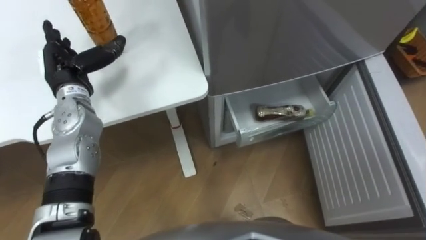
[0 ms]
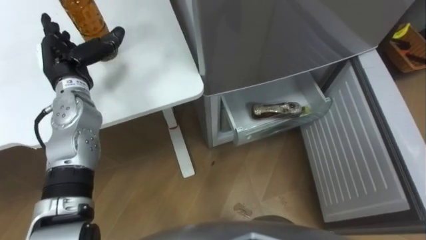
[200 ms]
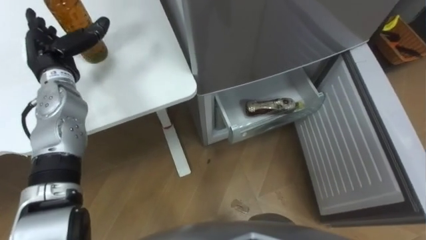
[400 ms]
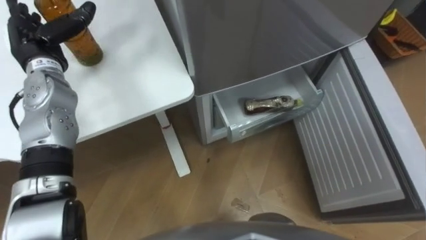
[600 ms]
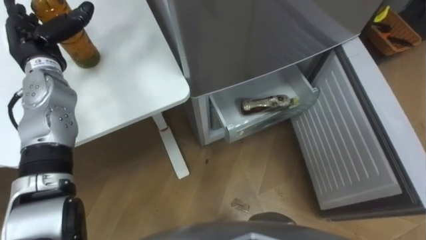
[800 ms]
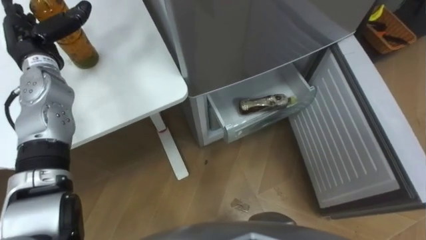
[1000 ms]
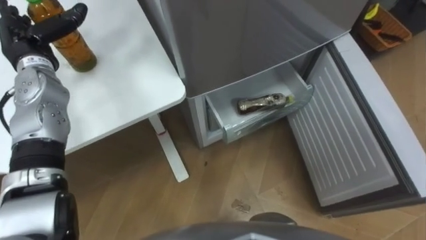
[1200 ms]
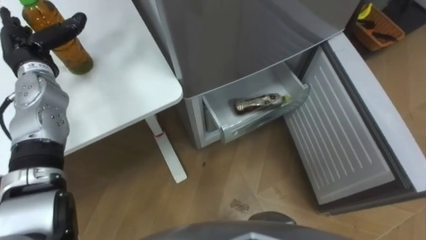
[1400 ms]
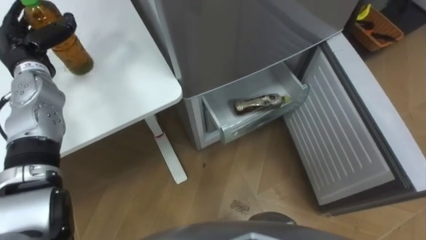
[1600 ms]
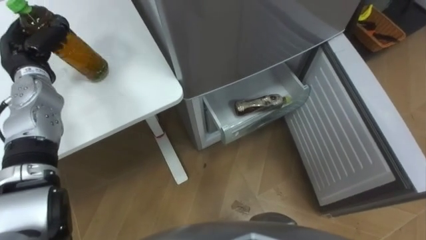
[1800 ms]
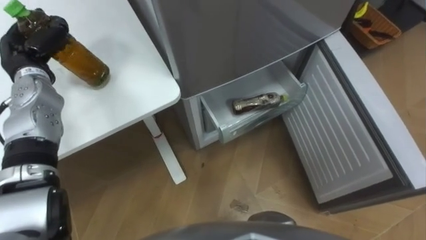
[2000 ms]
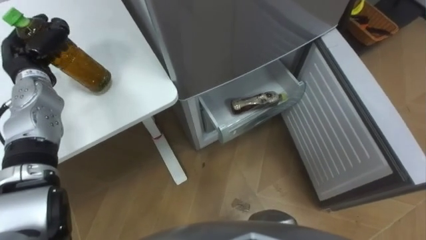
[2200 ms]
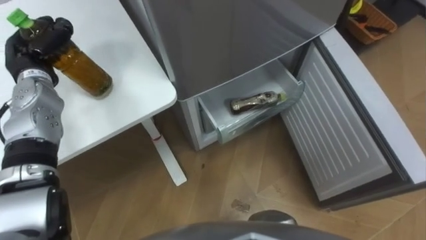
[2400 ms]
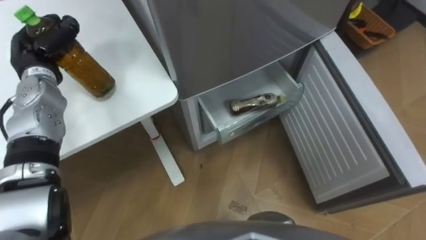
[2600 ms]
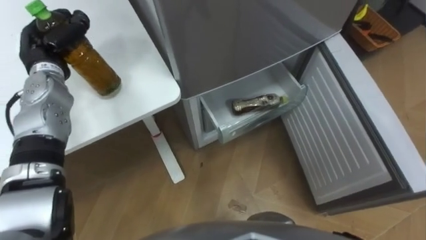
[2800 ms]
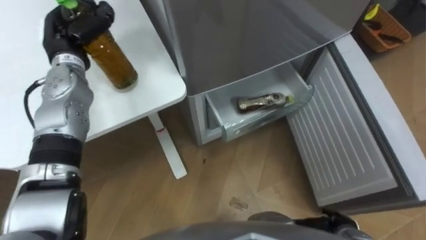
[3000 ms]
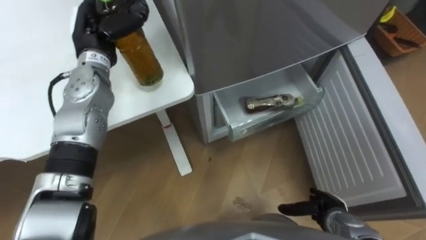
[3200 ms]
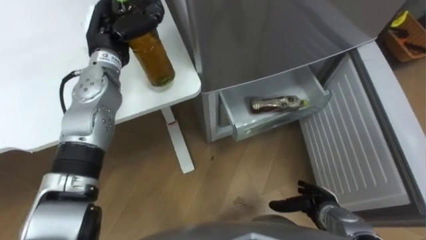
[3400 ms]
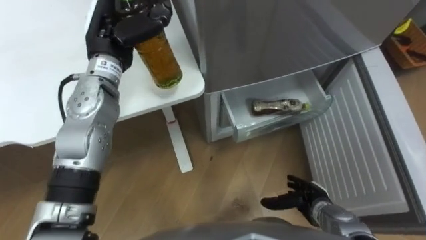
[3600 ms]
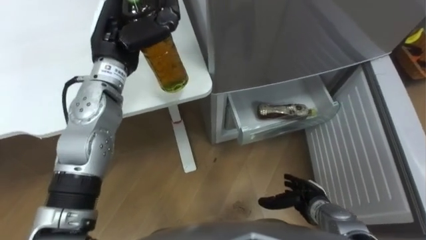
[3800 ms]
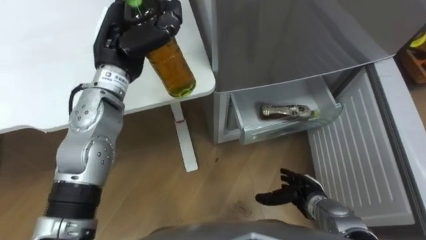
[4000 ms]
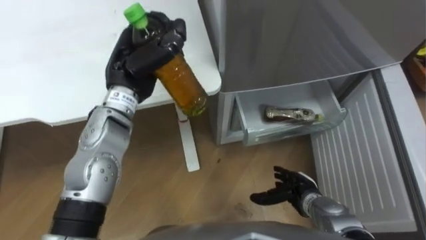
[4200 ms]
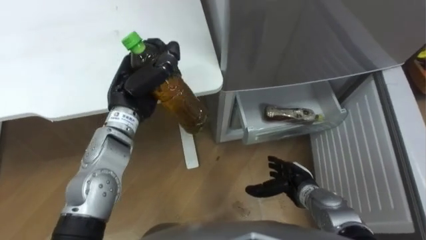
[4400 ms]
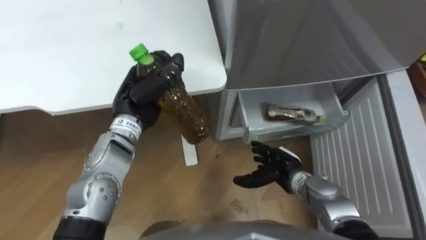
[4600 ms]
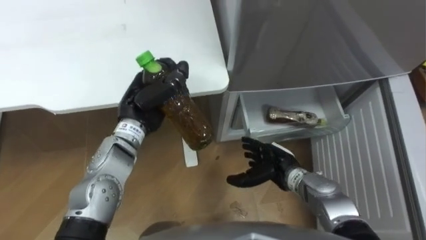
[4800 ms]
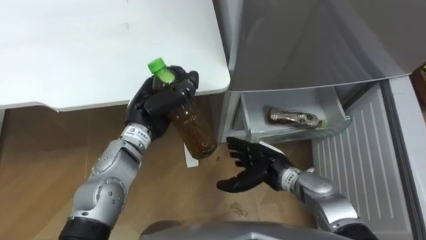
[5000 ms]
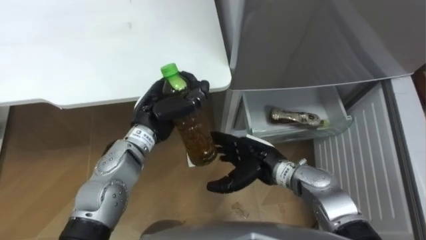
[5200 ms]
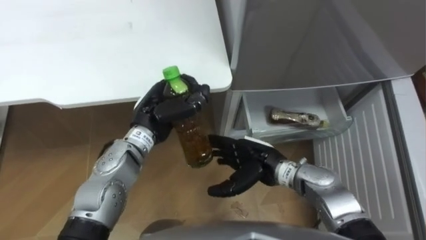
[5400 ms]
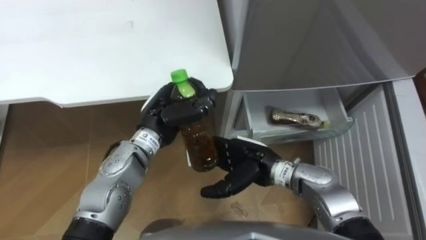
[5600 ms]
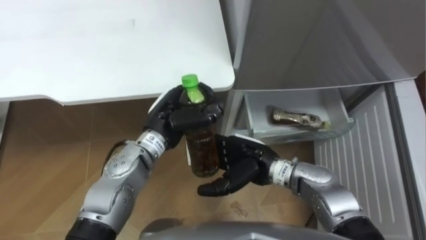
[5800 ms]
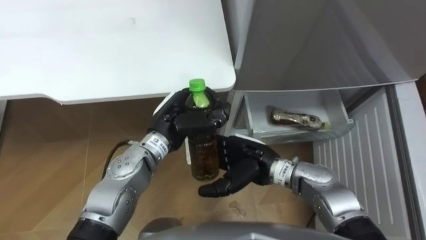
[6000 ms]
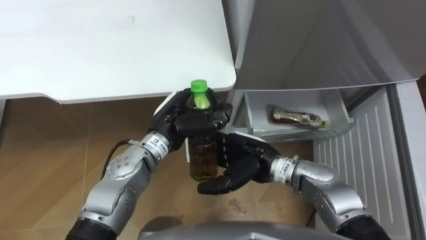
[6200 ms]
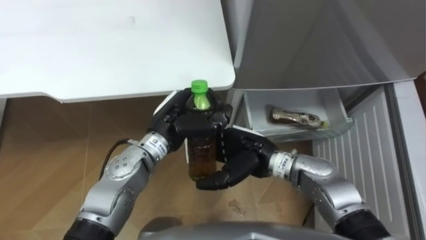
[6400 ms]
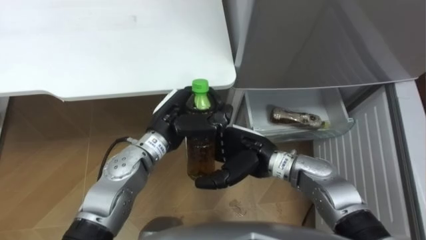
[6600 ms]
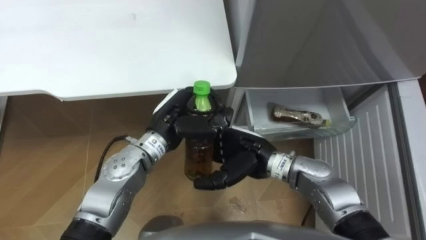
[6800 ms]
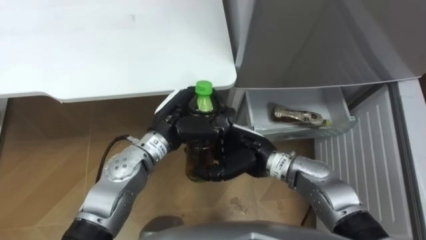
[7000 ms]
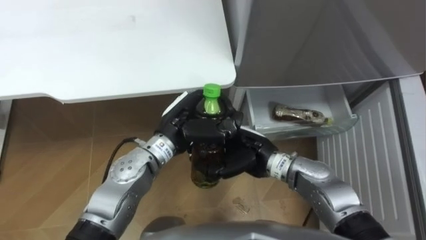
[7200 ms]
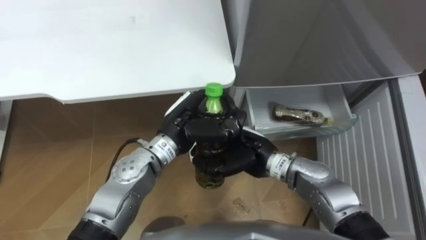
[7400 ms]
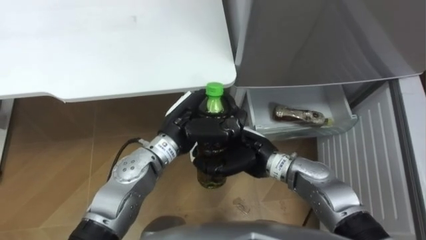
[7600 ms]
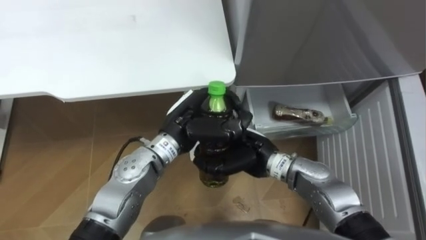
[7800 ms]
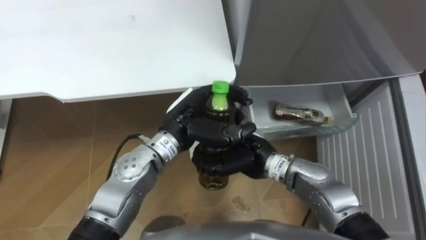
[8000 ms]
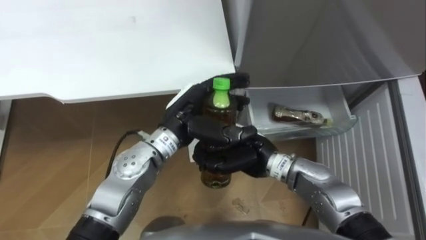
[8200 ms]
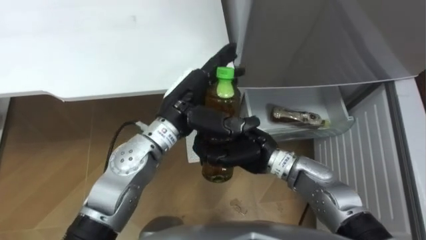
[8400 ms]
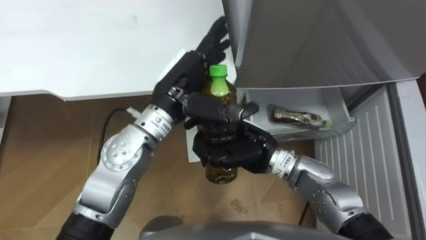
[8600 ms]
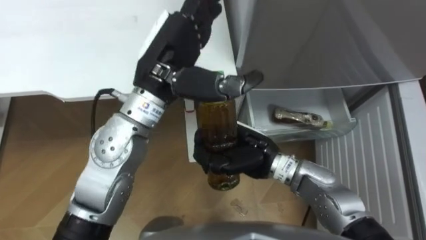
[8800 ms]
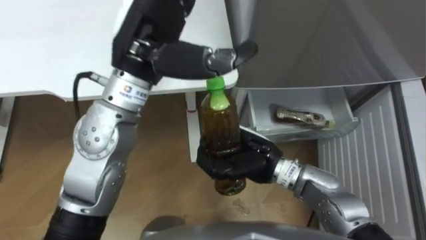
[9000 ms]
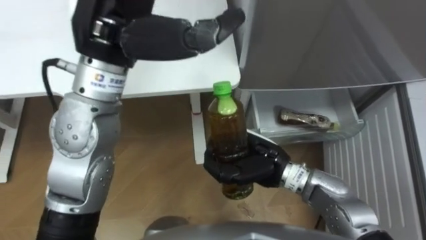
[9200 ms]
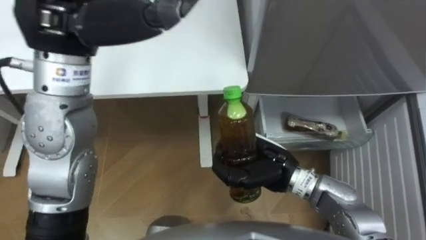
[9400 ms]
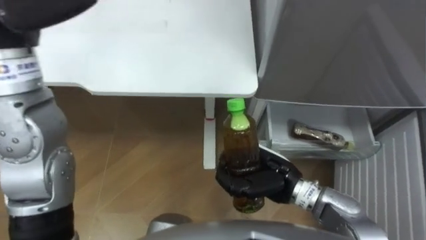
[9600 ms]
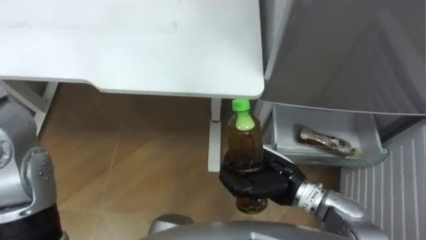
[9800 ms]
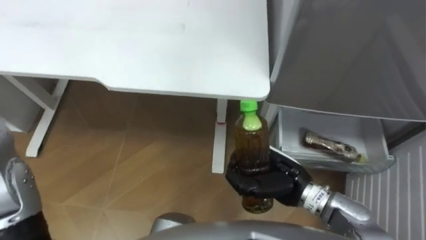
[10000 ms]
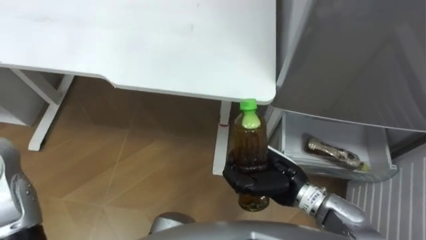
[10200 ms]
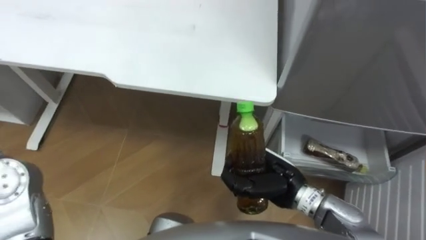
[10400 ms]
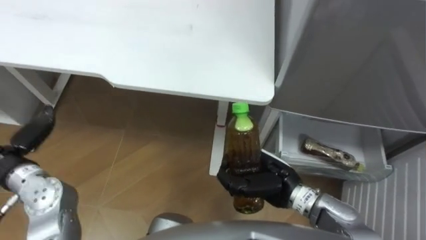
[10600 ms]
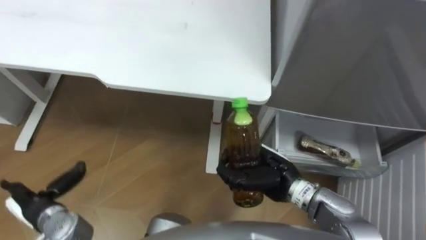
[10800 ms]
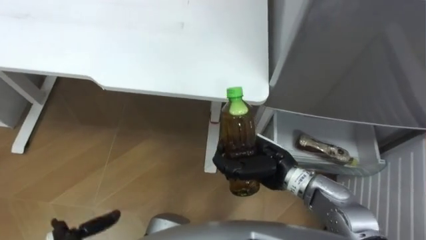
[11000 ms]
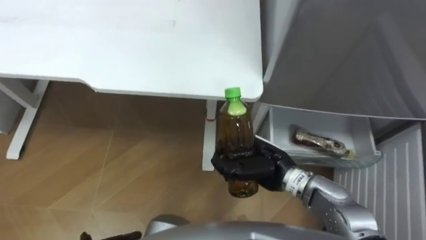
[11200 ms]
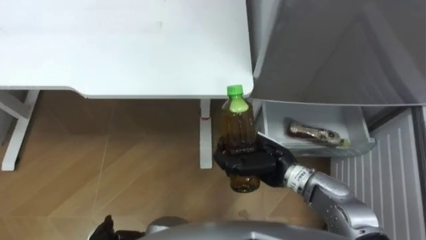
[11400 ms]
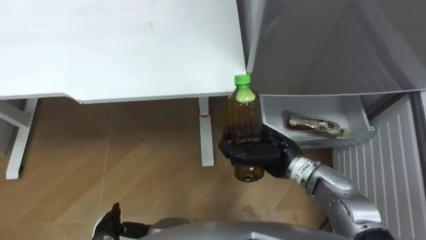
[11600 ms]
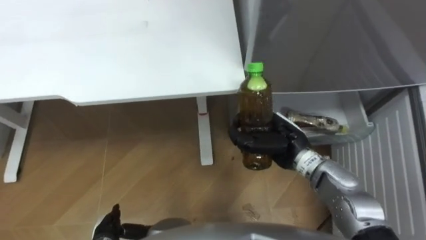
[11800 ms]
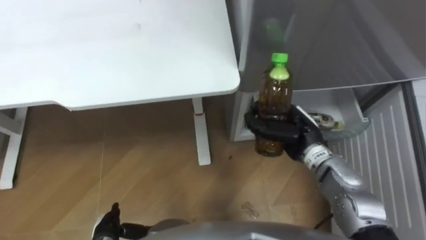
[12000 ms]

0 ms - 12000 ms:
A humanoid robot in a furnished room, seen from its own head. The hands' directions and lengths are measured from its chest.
Task of the whole recording: Place the drink on the table on the bottom shelf of the refrigerator, then close the drawer and the refrigerator door.
0 ms - 1600 ms: The left hand goes roughly 5 cm to the left.
1600 ms - 3000 ms: The left hand is displaced to the right by about 5 cm, and closes its fingers.
3000 ms - 4400 ms: The right hand moves forward and to the left, some 15 cm, while the left hand heads to the right and backward, covering roughly 15 cm.
4400 ms - 6000 ms: The right hand moves to the left and upward, approximately 15 cm, while the left hand heads to the right and downward, covering about 10 cm.
6000 ms - 7600 ms: The right hand closes its fingers.
7600 ms - 9000 ms: The left hand heads upward, covering about 20 cm, and opens.
9000 ms - 10400 ms: The right hand is displaced to the right by some 5 cm.
10400 ms - 12000 ms: The right hand is displaced forward by some 10 cm.

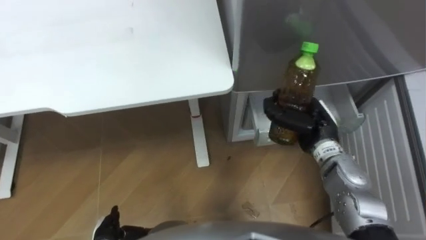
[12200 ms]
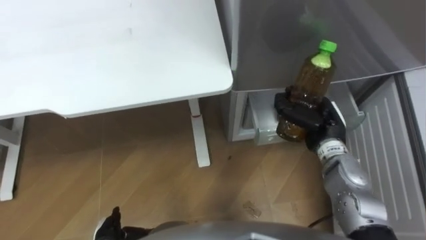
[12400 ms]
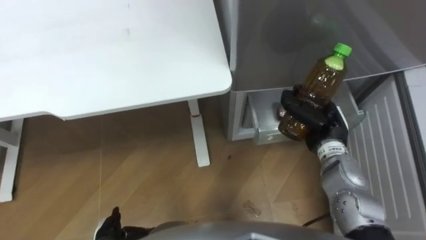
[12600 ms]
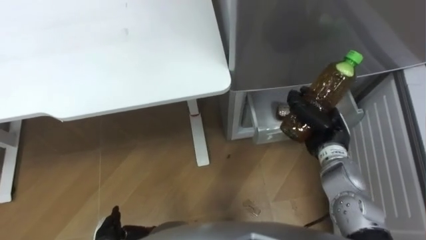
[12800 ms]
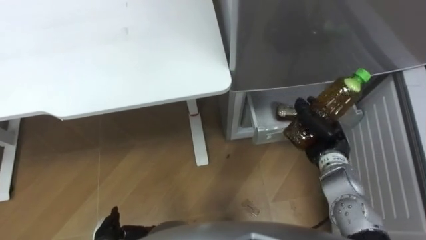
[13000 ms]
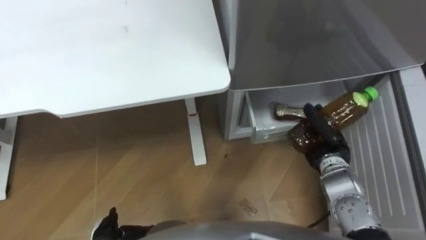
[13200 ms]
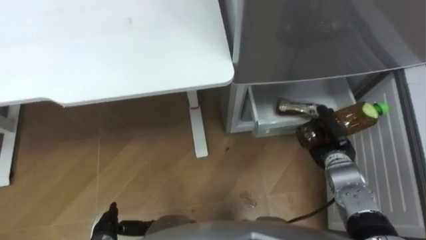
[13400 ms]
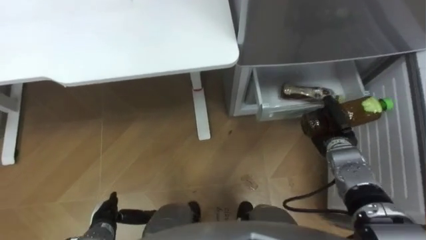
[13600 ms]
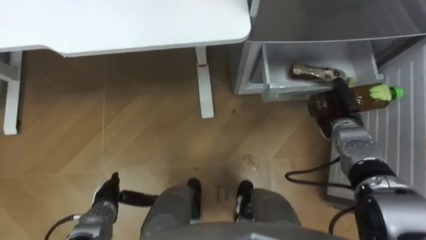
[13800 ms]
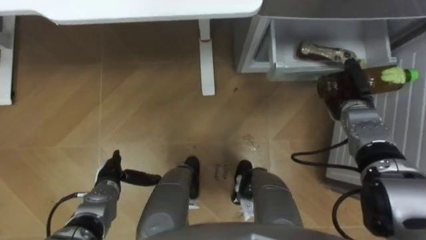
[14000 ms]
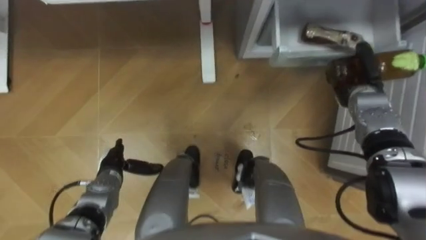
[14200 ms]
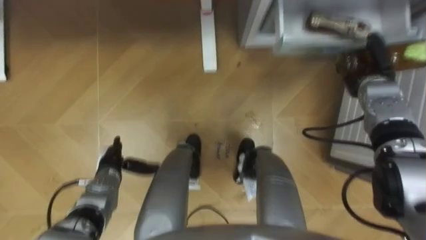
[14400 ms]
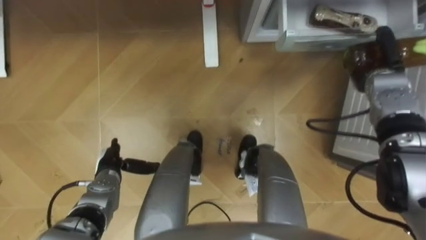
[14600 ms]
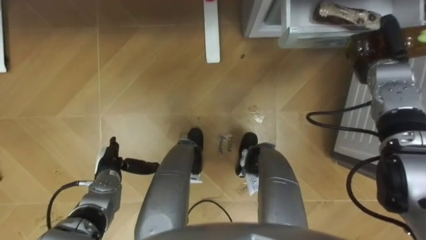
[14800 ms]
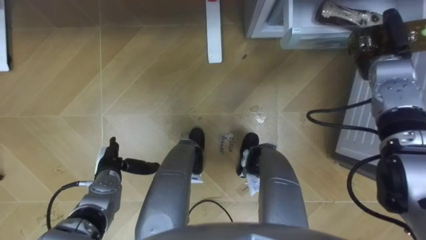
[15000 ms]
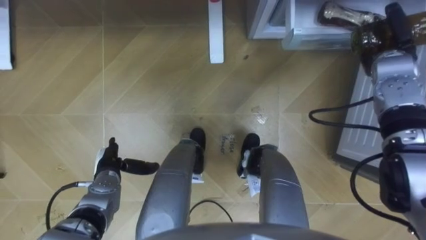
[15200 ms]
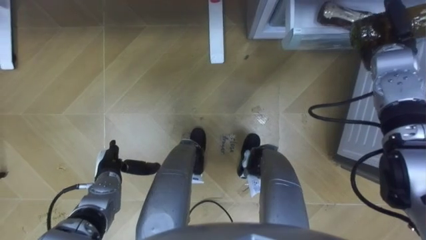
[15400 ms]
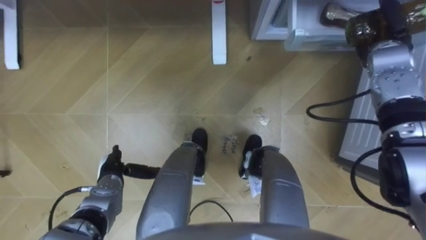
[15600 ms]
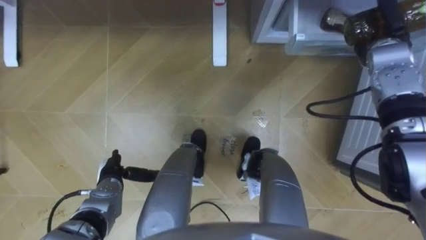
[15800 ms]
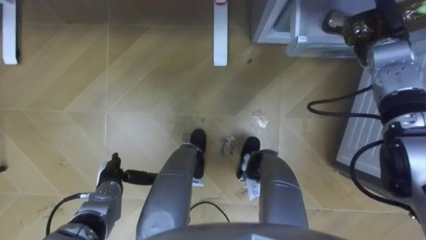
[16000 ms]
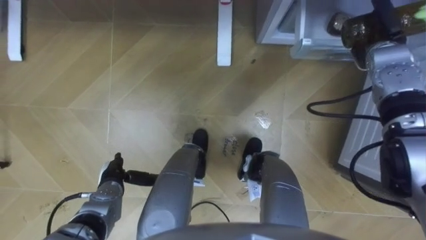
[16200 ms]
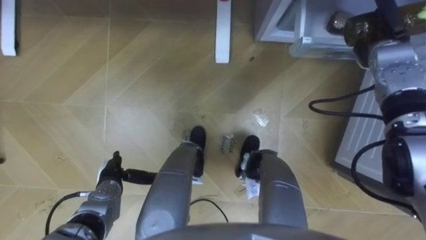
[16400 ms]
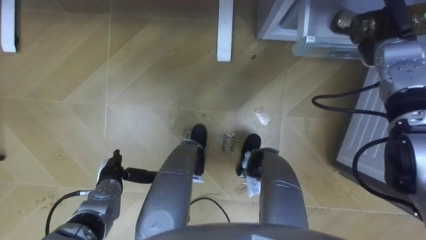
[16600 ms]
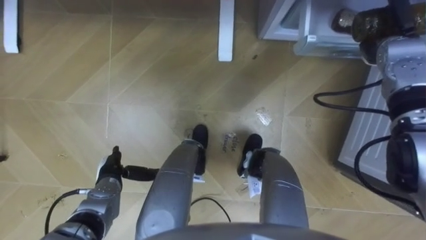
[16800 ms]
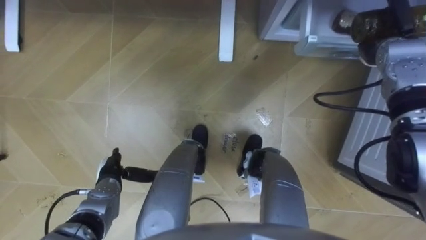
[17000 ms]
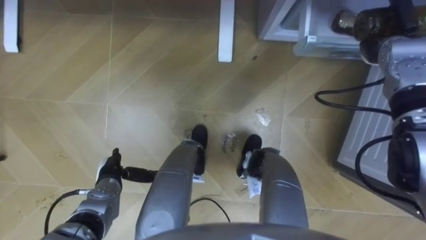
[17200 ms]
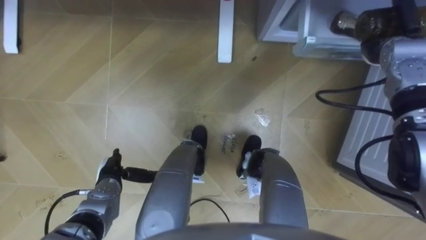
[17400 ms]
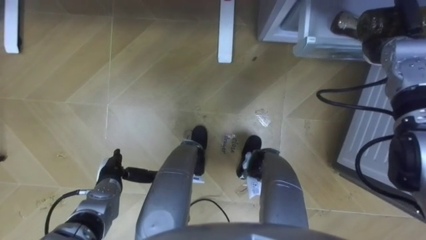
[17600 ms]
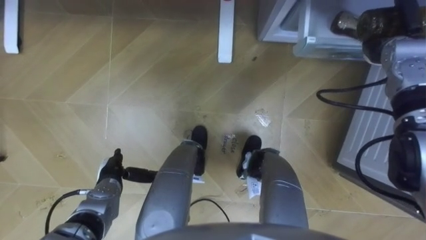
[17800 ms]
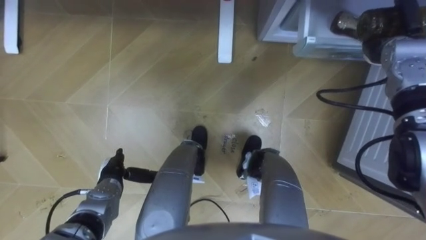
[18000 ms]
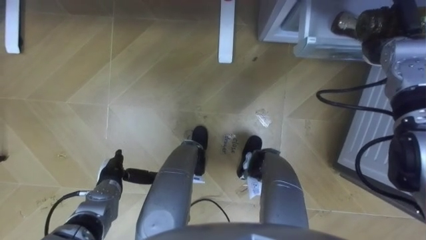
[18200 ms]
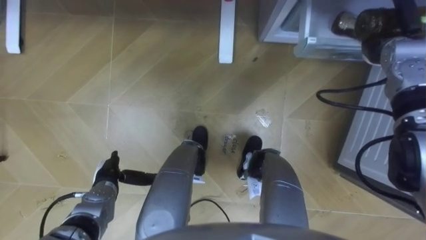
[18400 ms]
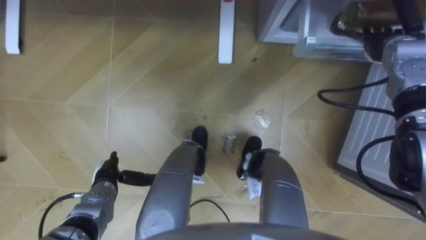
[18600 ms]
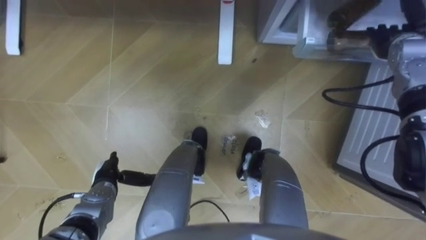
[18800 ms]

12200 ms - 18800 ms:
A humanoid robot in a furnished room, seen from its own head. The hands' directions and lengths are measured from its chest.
Task of the whole recording: Place the drink on the table on the bottom shelf of the refrigerator, then close the drawer and the refrigerator door.
12200 ms - 13800 ms: The right hand shifts some 10 cm to the right and downward.
13800 ms - 15400 ms: The right hand heads upward and forward, covering some 15 cm, while the left hand goes about 5 cm forward.
17200 ms - 18800 ms: The right hand opens up.
